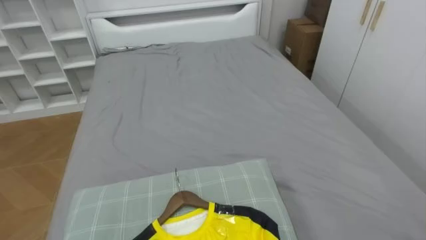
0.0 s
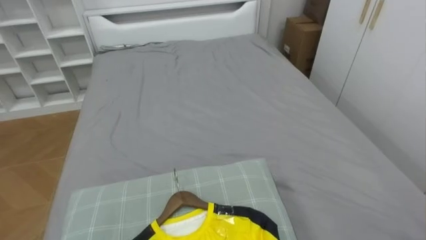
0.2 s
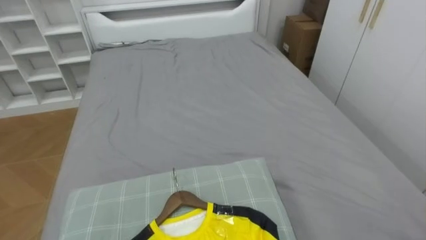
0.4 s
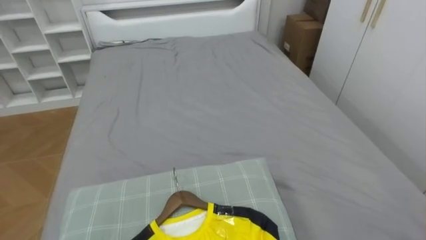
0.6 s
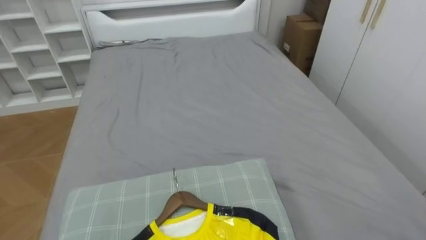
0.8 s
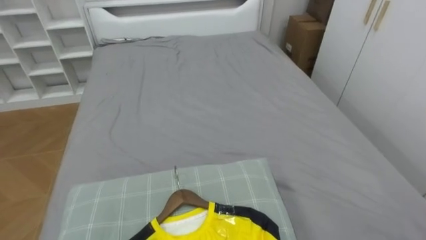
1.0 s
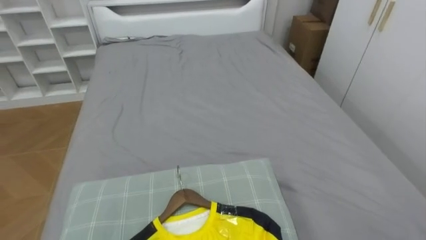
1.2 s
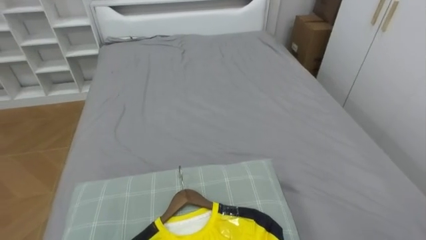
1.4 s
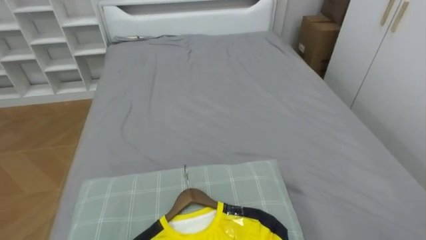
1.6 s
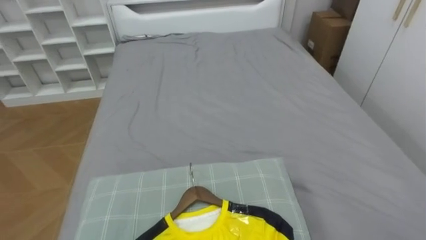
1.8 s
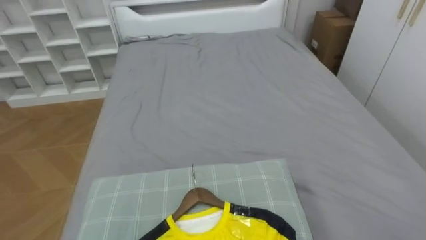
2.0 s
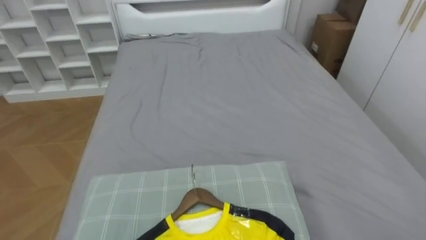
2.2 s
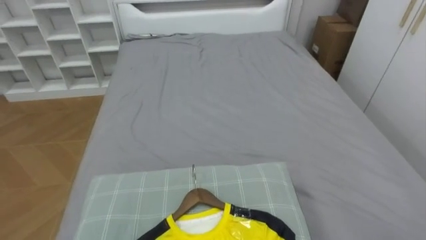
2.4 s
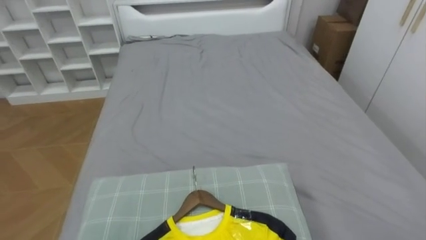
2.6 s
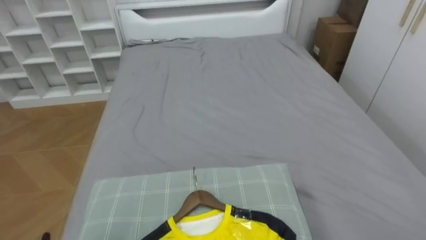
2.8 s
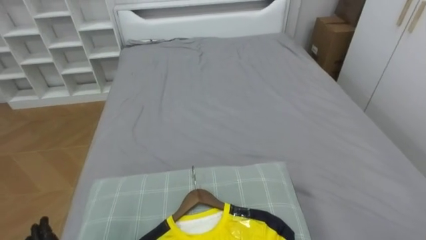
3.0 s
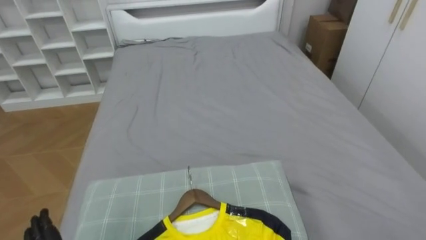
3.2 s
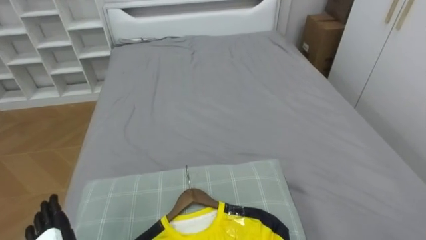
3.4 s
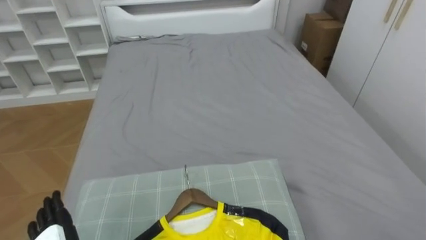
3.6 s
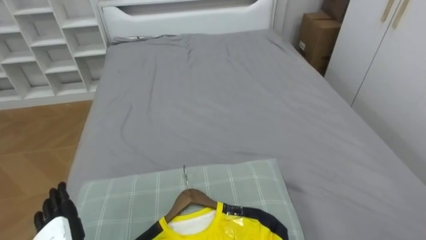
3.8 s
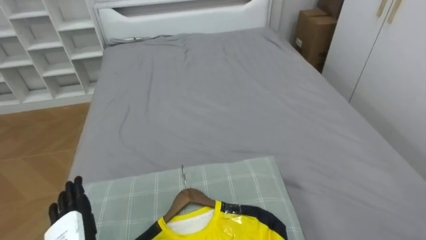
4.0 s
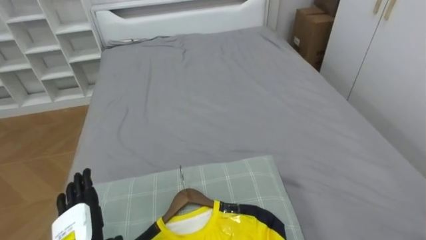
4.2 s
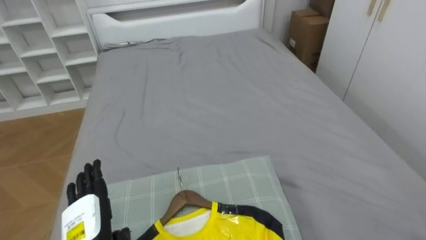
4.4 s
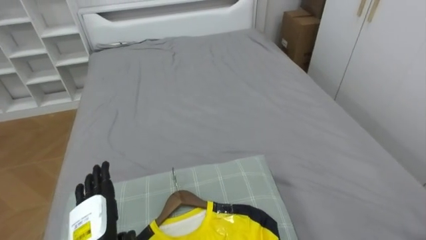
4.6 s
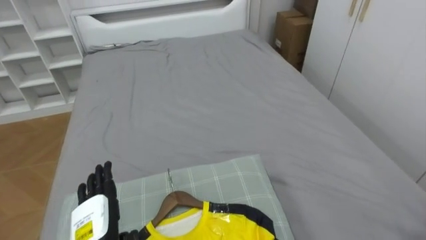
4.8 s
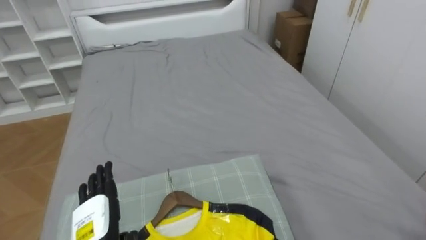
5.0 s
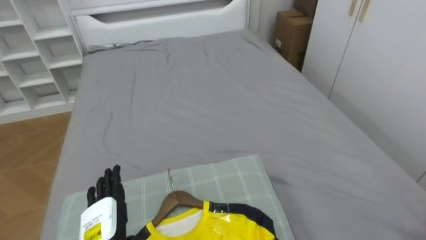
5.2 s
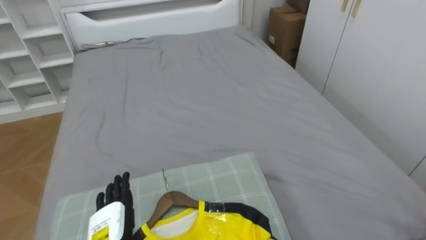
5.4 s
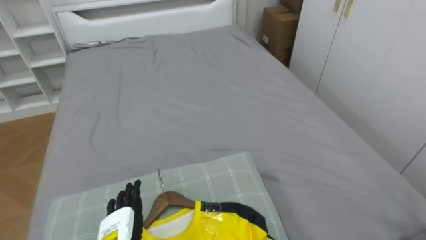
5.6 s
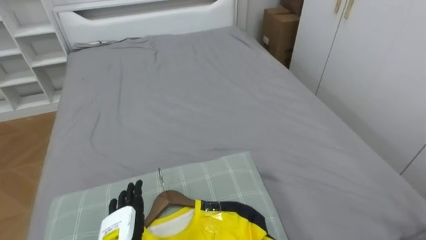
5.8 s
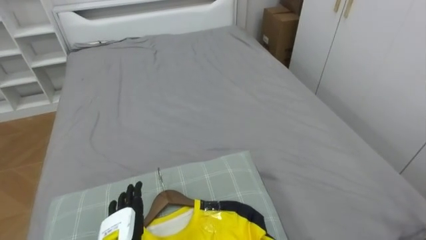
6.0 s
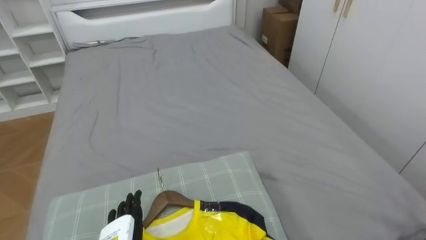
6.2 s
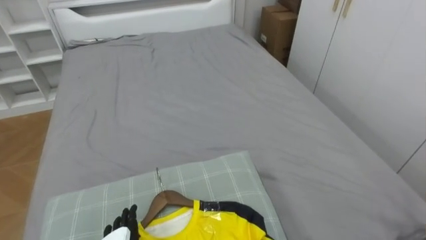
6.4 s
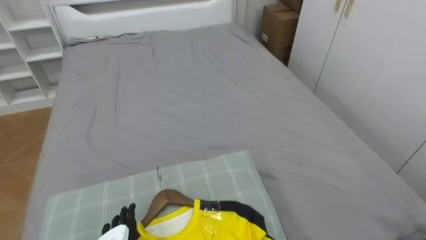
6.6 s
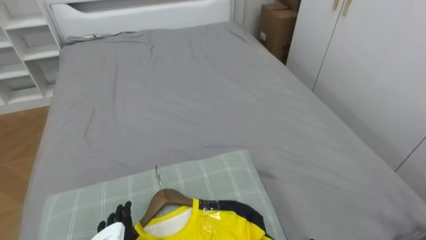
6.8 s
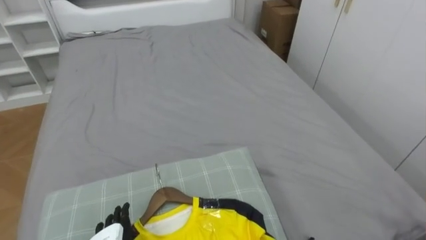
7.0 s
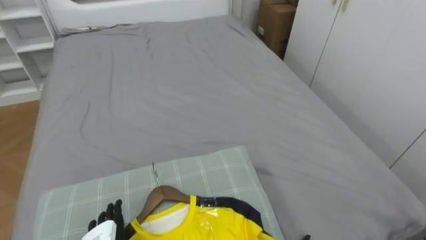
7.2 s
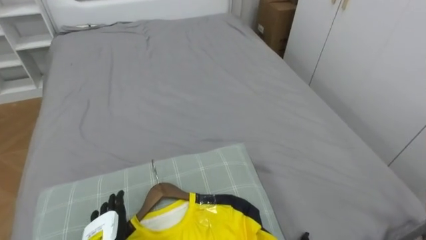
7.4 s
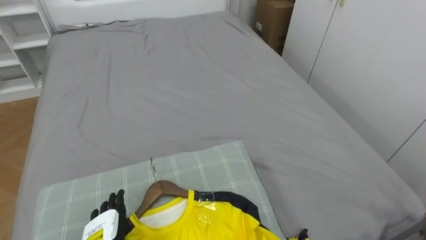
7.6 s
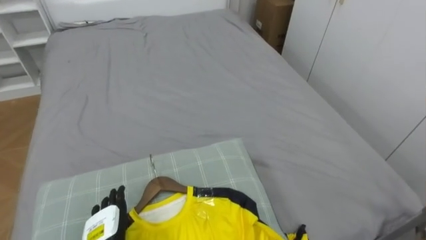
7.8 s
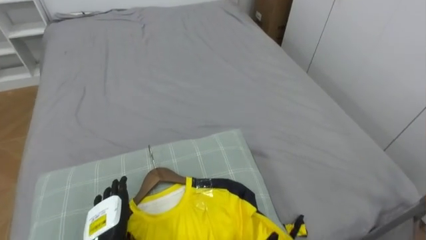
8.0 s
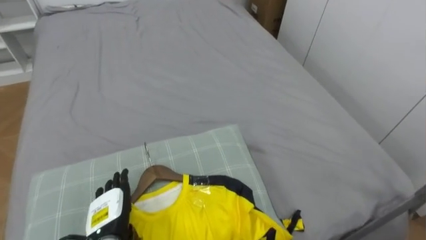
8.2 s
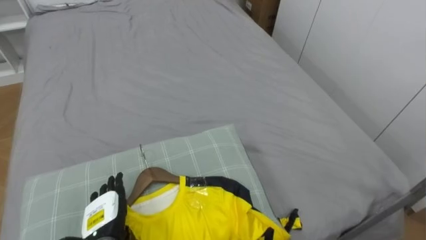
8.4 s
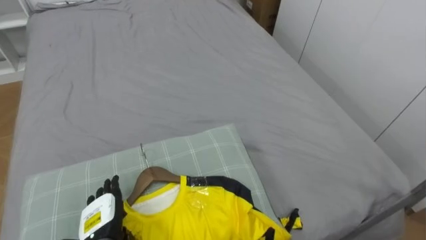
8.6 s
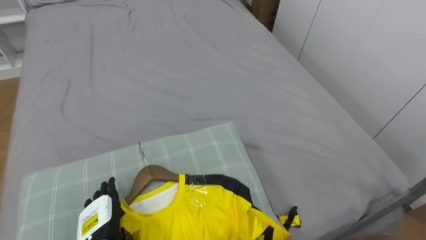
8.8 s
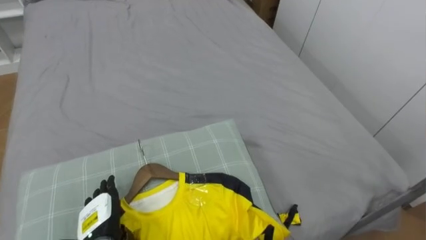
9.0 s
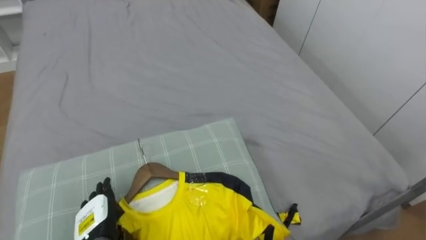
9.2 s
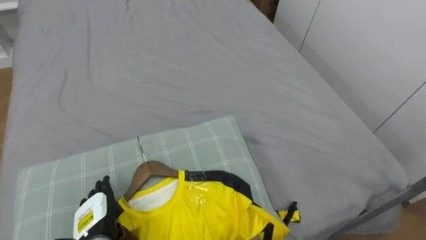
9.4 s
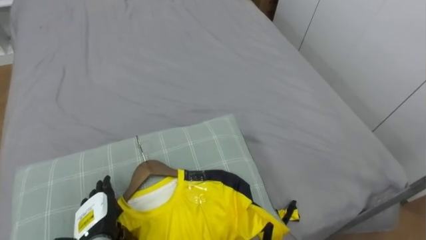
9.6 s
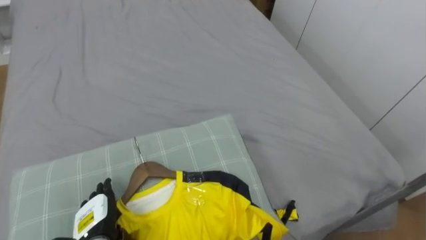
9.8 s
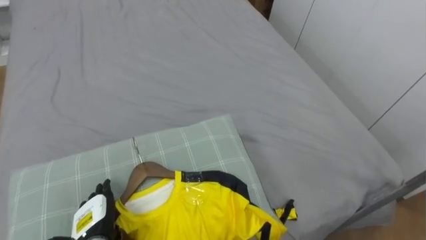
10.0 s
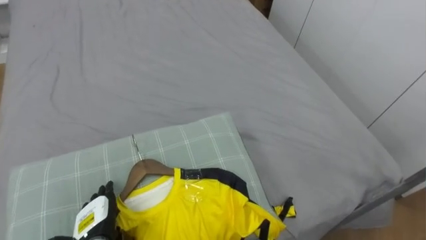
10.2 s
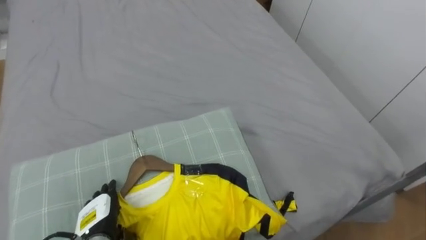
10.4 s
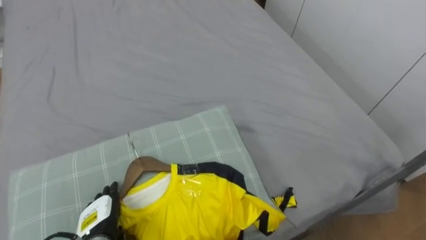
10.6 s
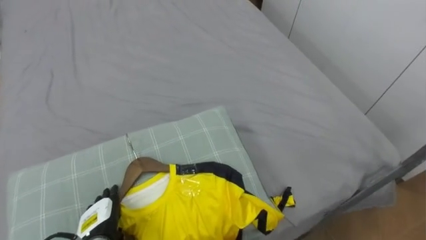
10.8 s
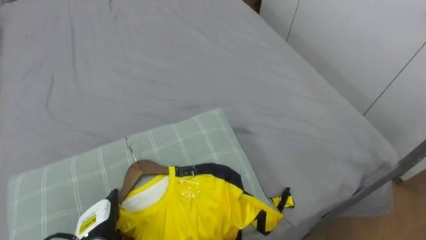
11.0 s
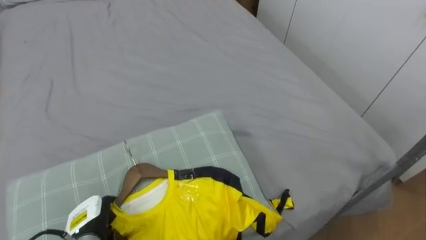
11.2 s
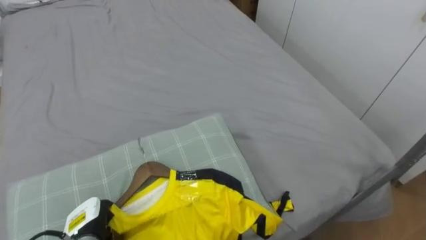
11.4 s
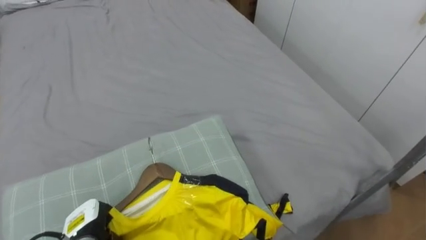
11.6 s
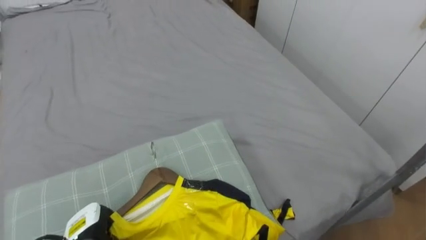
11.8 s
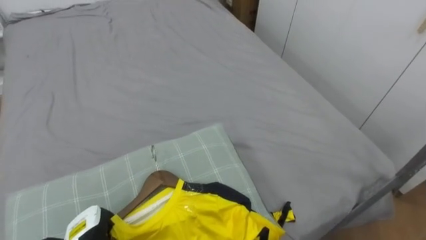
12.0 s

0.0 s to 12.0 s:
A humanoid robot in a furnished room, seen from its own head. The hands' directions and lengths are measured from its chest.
Task of the whole recording: Pick up the yellow shirt on the bed and hang it on the clothes rack on the right.
10.4 to 12.0 s: The left hand closes its fingers.

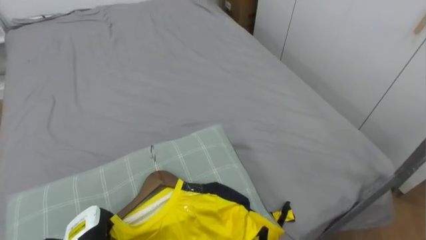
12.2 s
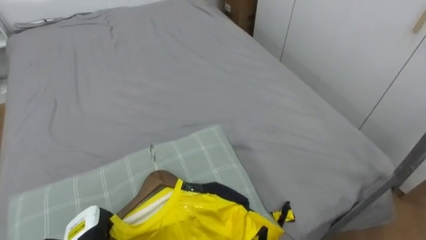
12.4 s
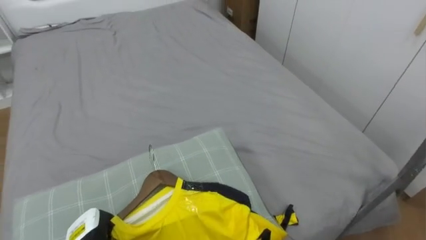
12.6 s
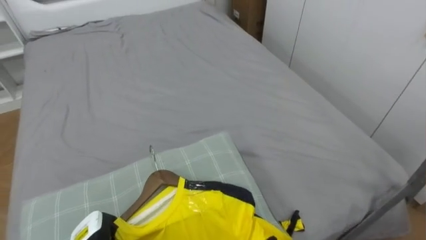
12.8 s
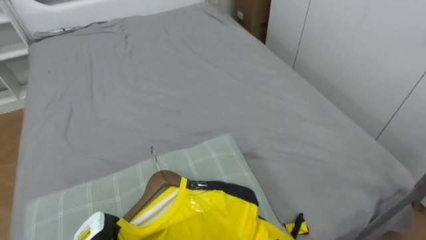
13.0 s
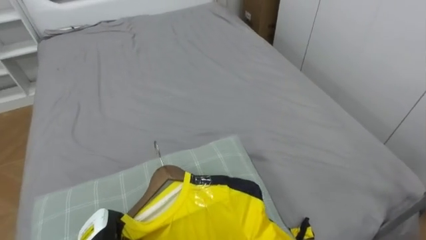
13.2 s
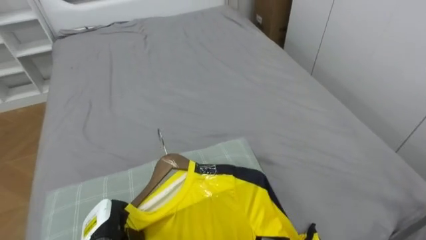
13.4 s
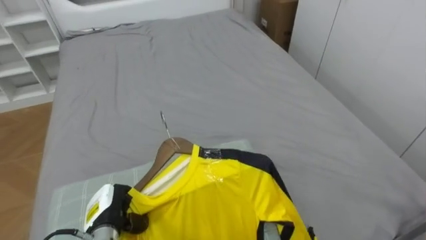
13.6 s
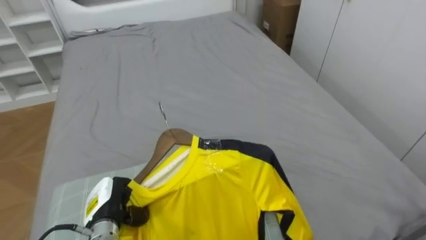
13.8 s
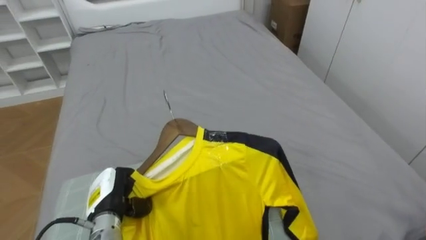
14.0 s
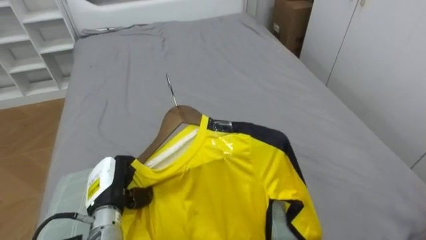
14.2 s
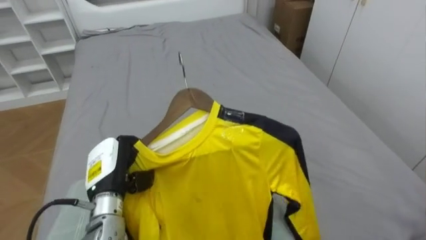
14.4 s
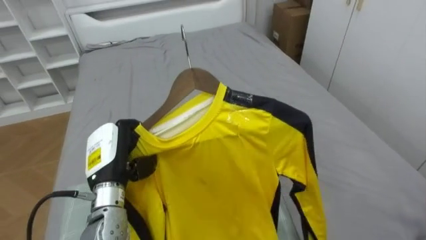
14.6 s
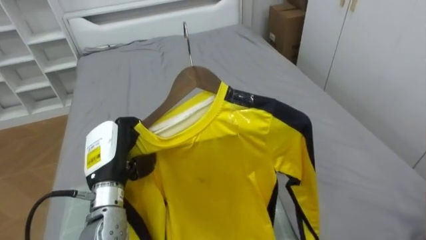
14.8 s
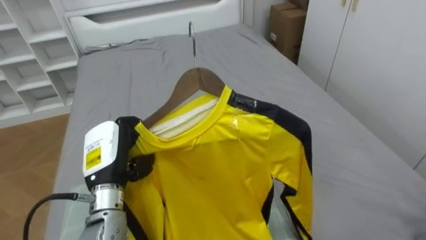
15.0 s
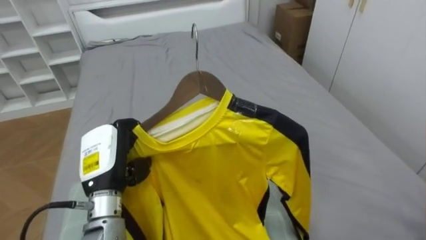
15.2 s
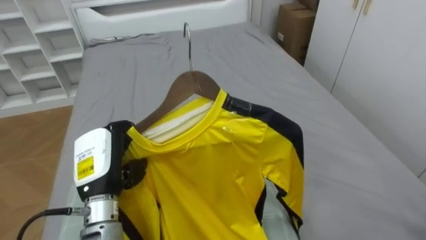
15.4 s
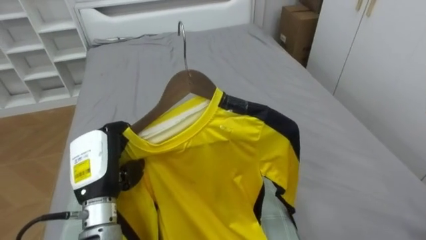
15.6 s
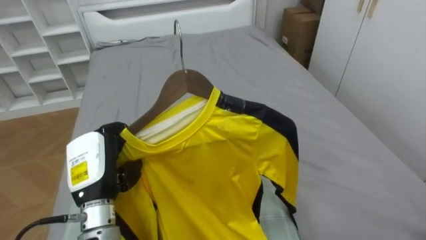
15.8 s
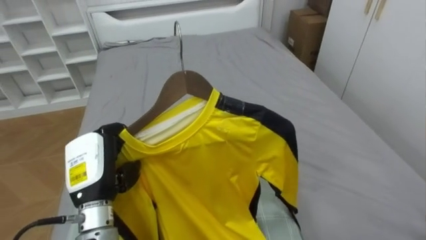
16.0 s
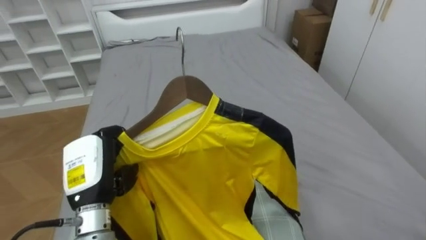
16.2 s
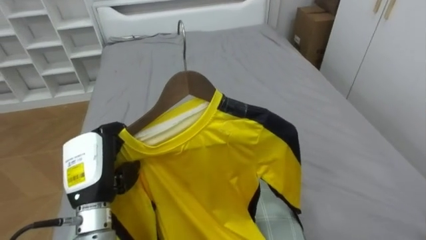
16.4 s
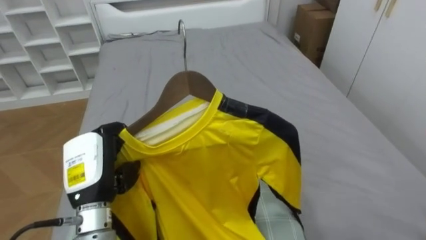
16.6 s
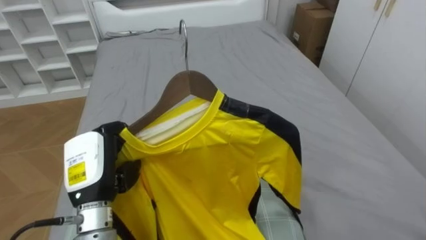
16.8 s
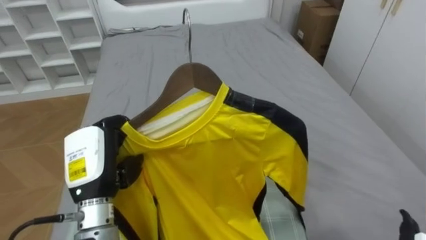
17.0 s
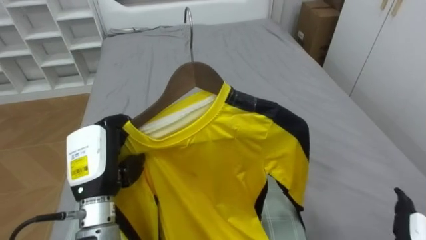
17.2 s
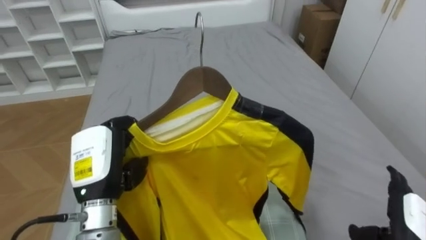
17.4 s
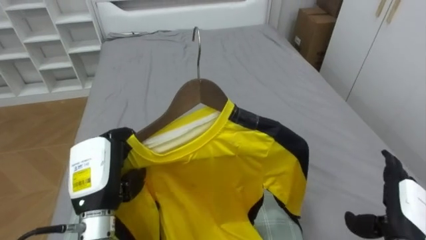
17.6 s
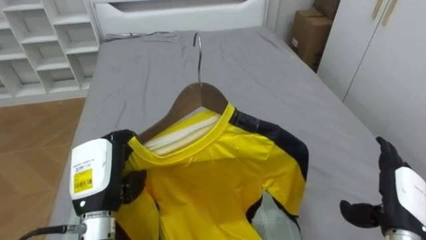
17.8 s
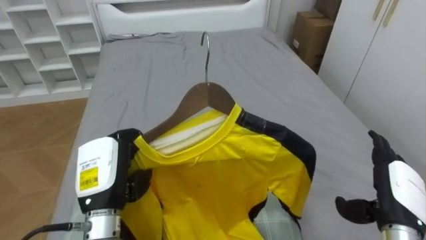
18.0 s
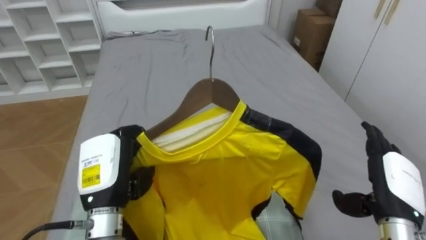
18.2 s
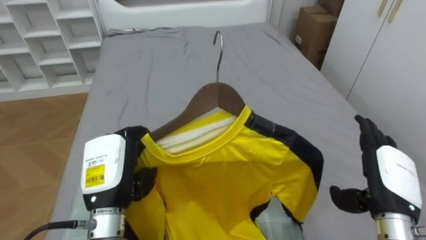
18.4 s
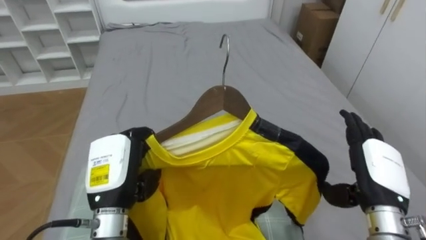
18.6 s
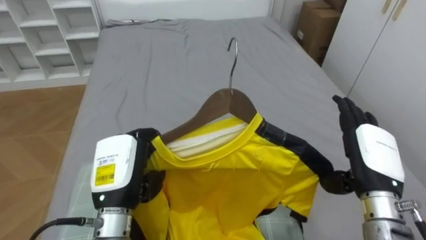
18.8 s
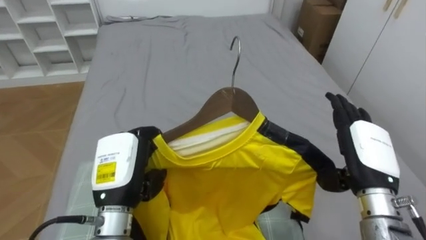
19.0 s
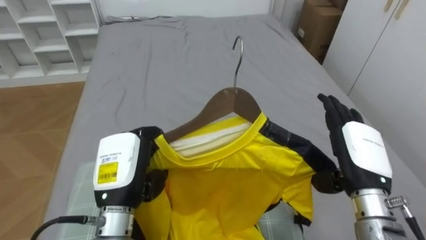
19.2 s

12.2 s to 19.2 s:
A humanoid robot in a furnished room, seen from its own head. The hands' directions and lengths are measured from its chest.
Task of the whole recording: Pick up the yellow shirt on the bed and hang it on the clothes rack on the right.
13.6 to 15.0 s: The left hand heads upward, covering approximately 15 cm.
17.8 to 19.2 s: The right hand moves to the left and upward, roughly 10 cm.
